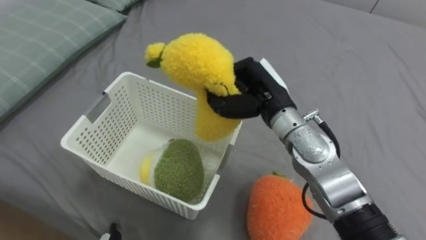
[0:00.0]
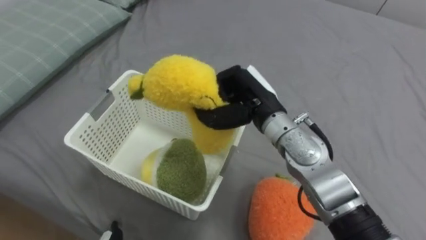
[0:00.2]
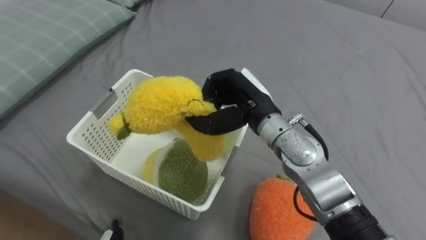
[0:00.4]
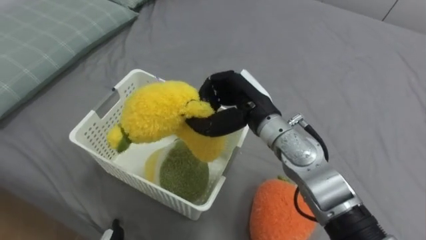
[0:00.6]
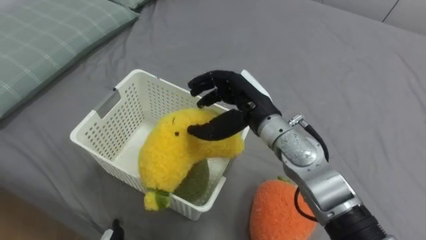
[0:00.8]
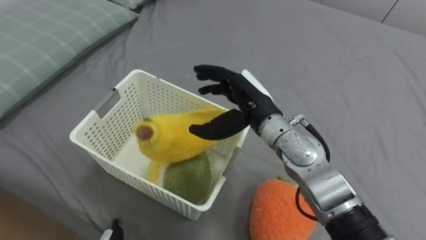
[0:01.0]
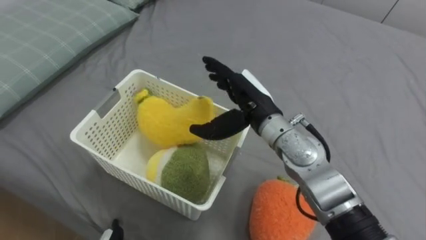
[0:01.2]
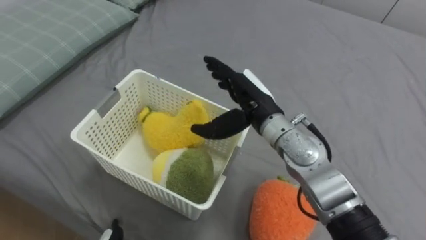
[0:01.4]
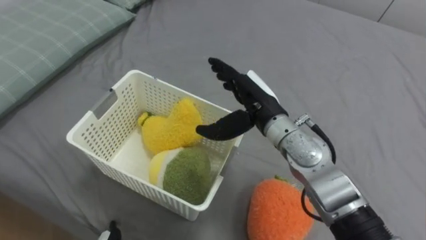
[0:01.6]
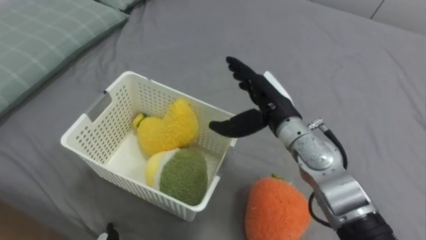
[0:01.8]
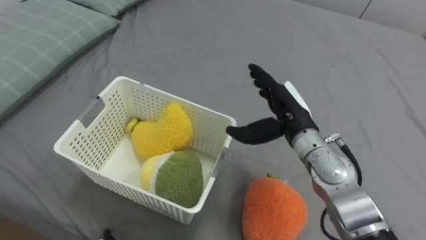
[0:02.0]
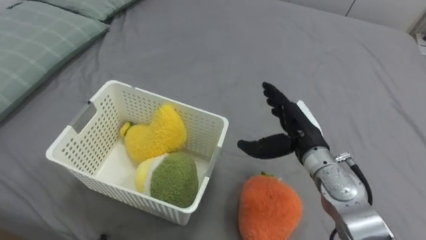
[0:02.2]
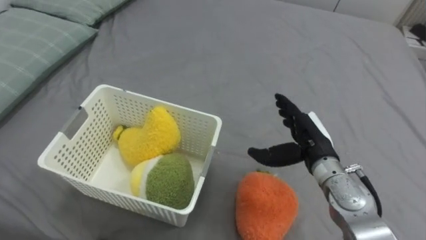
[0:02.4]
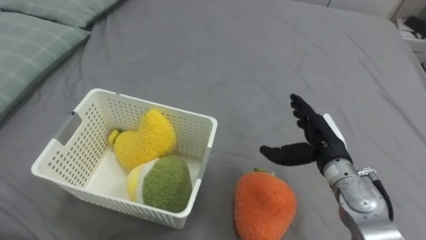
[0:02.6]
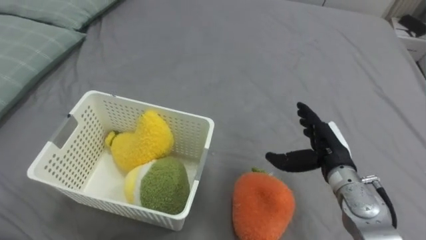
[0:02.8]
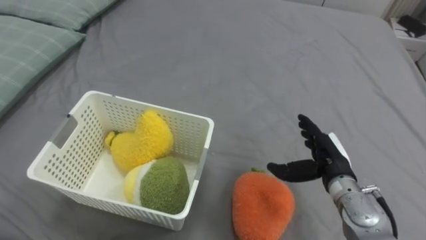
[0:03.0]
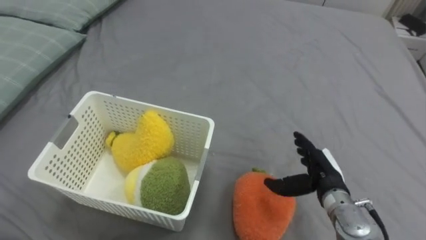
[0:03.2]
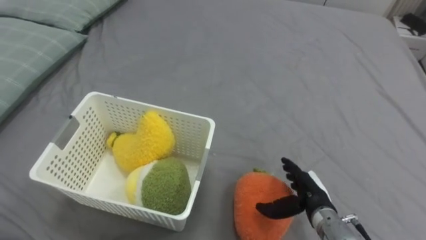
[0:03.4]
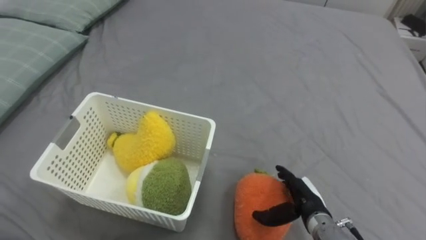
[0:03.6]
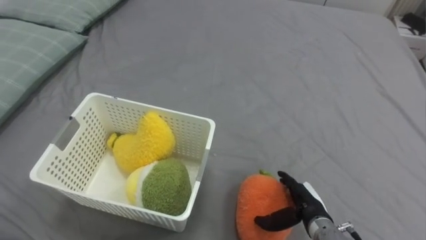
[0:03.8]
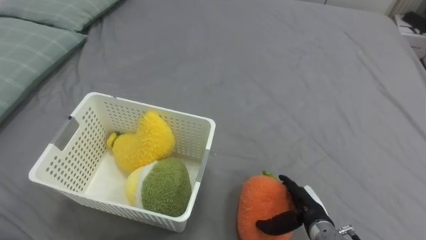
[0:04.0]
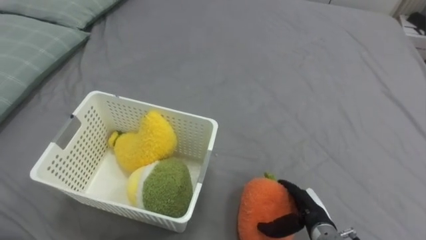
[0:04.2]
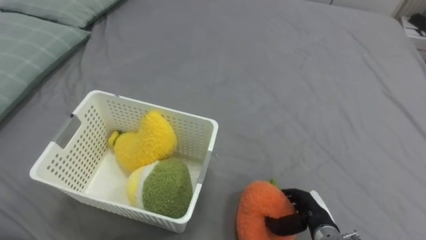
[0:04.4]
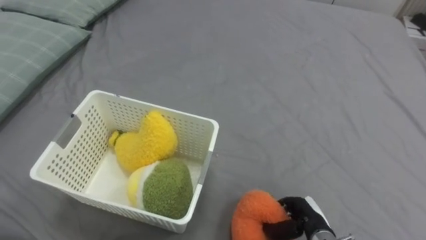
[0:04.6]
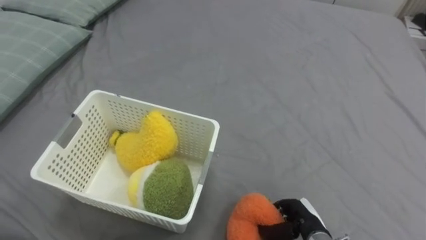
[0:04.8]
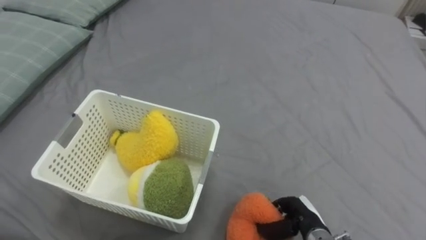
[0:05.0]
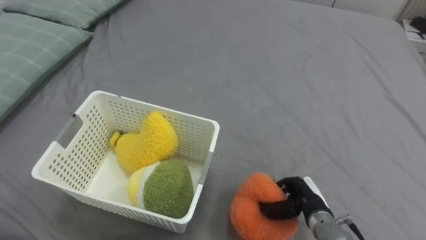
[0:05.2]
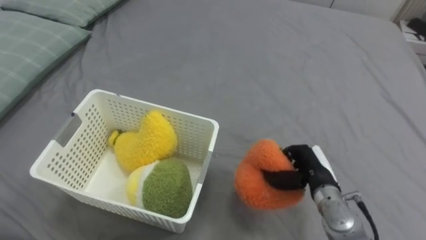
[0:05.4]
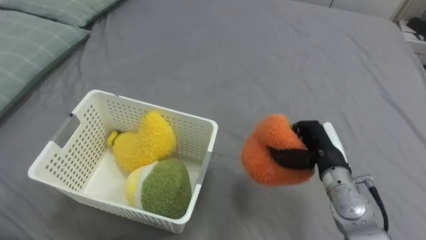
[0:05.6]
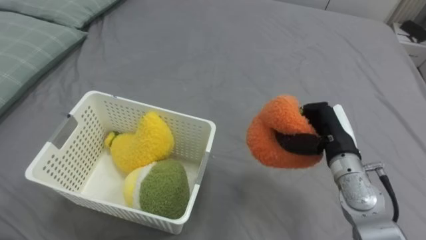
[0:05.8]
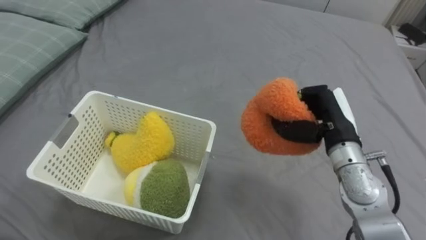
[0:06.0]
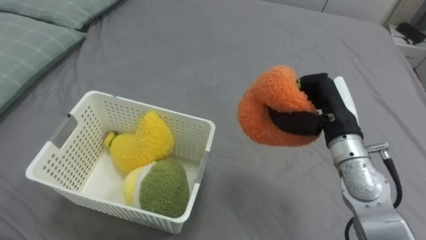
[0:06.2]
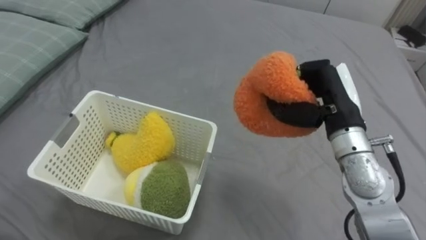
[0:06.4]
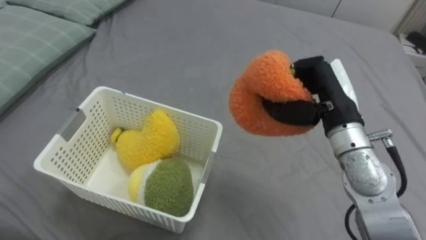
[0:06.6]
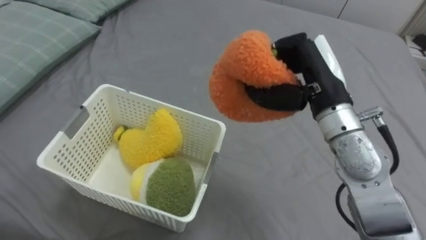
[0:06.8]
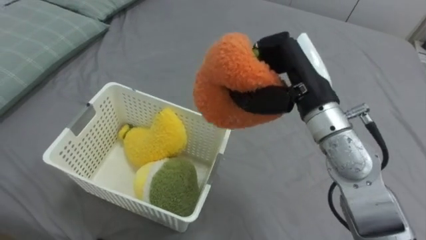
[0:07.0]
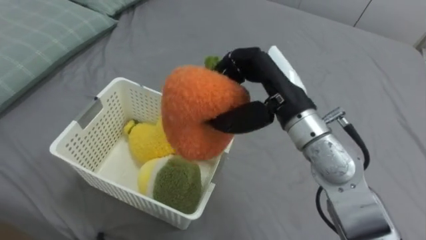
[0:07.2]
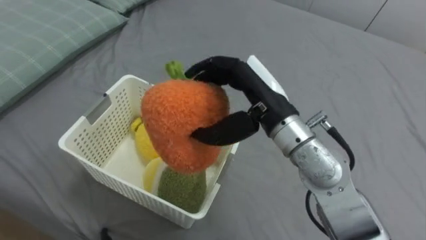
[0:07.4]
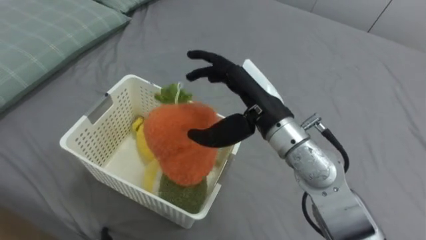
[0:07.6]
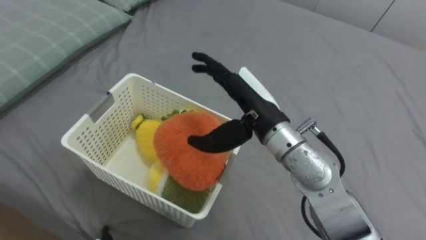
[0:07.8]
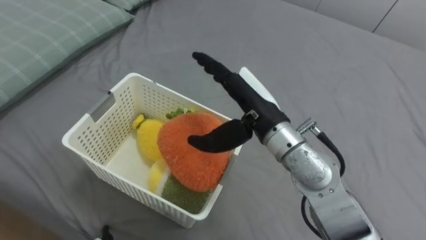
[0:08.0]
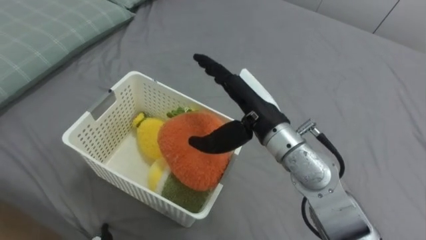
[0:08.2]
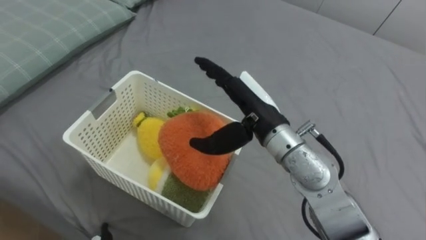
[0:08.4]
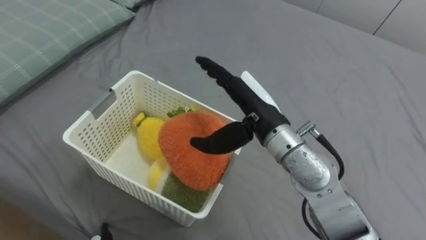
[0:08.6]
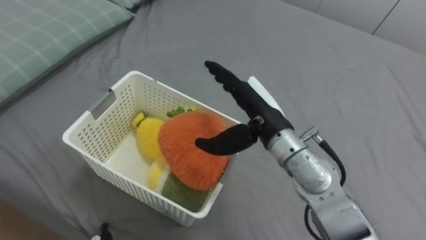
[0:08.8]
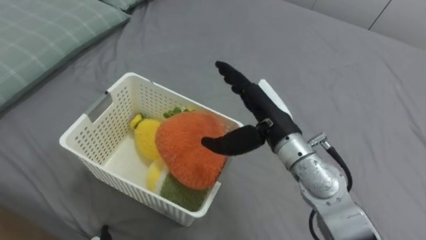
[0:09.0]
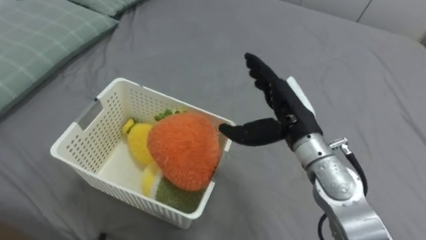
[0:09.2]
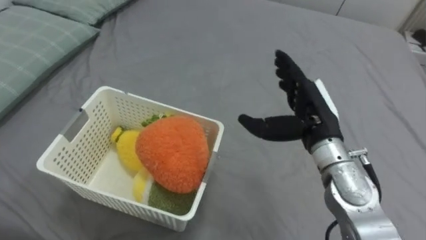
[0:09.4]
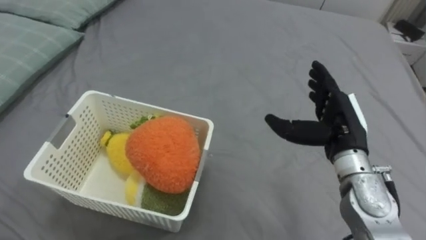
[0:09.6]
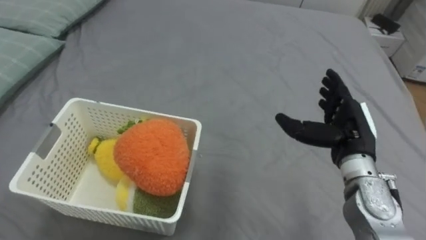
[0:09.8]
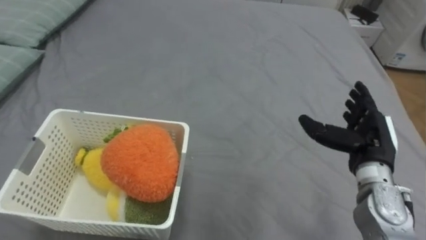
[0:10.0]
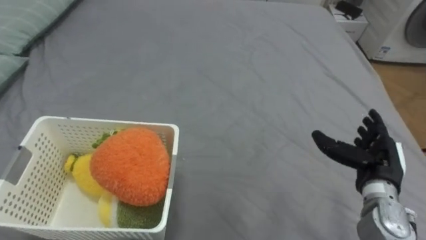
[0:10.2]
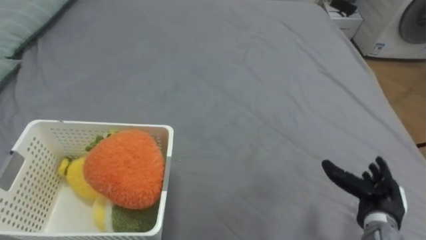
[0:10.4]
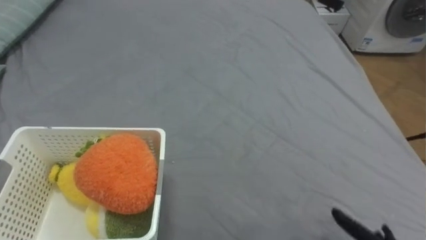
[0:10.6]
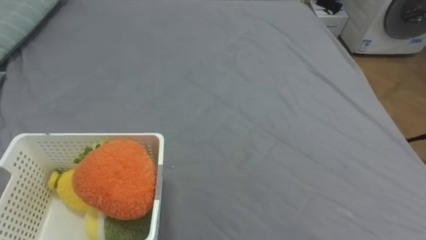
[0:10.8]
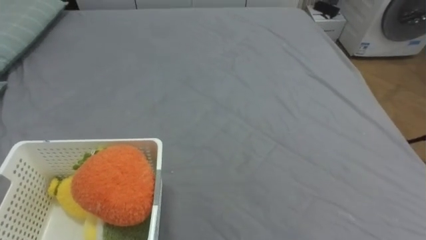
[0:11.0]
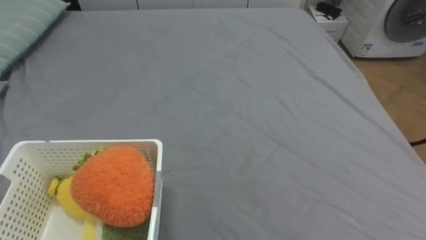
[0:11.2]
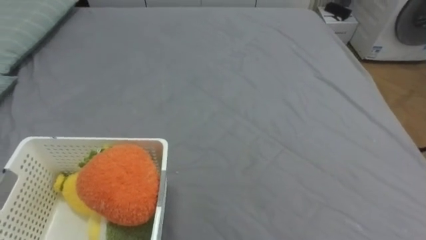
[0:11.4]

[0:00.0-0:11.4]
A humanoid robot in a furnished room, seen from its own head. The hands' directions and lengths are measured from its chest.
Task of the whole recording: Put the toys on the bed into the basket on the left.
0:00.0 to 0:01.4: The right hand opens up.
0:01.4 to 0:02.8: The right hand is displaced to the right and downward by roughly 20 cm.
0:02.8 to 0:04.2: The right hand travels downward and backward by some 15 cm.
0:04.2 to 0:05.6: The right hand travels upward and forward by roughly 15 cm, and closes.
0:05.6 to 0:07.2: The right hand heads upward and to the left, covering approximately 20 cm.
0:07.2 to 0:08.6: The right hand ends up some 5 cm from where it was, and opens.
0:08.6 to 0:10.0: The right hand heads to the right, covering roughly 20 cm.

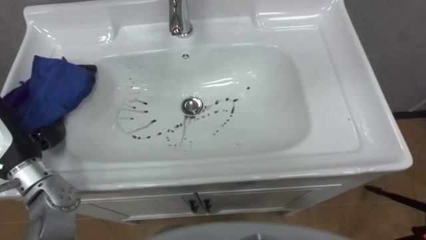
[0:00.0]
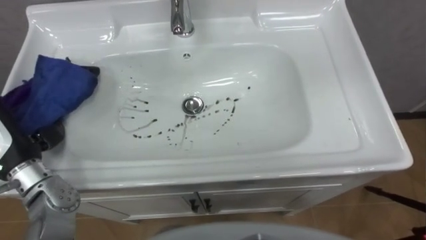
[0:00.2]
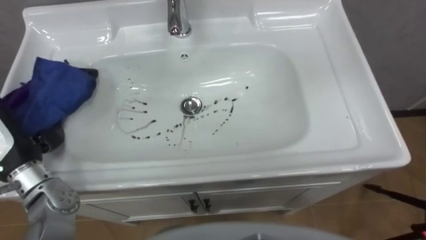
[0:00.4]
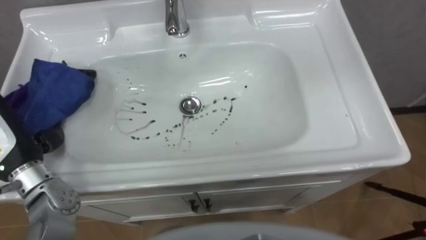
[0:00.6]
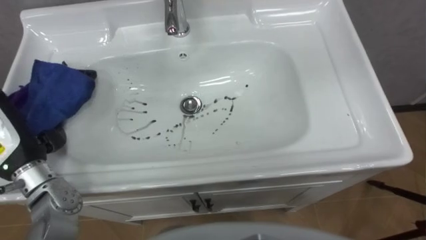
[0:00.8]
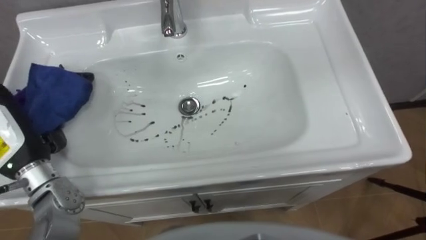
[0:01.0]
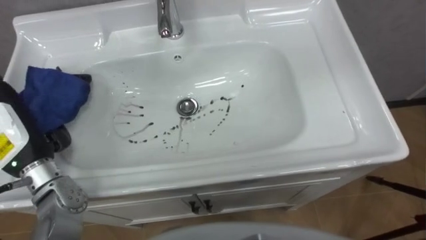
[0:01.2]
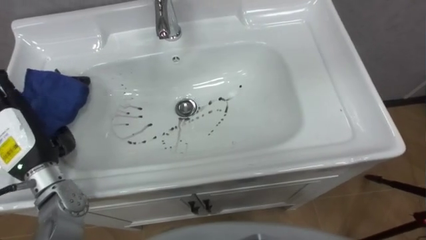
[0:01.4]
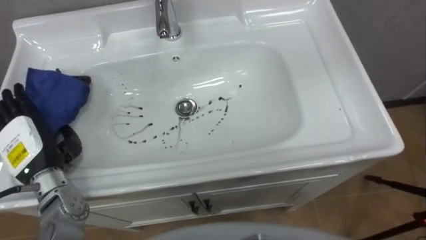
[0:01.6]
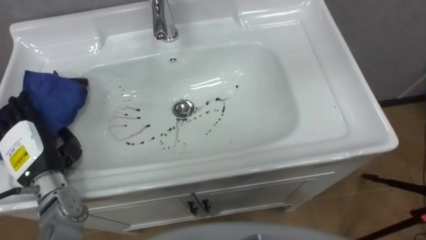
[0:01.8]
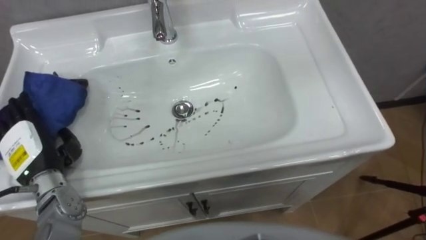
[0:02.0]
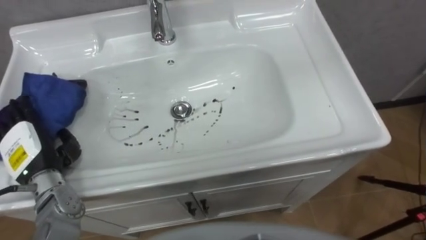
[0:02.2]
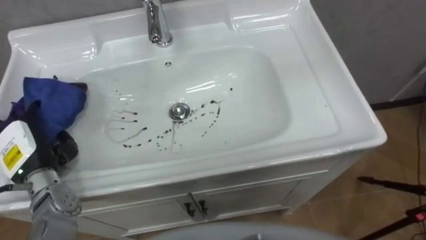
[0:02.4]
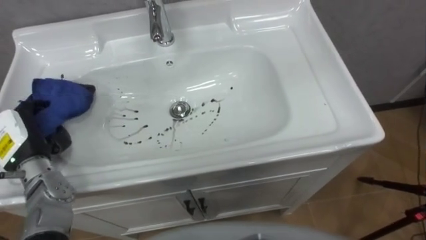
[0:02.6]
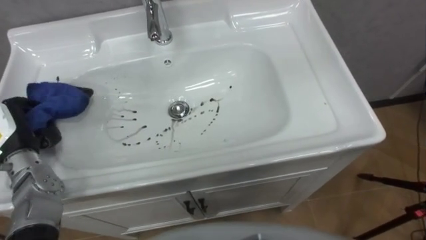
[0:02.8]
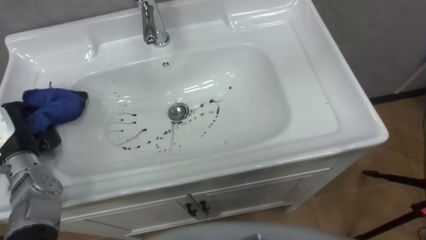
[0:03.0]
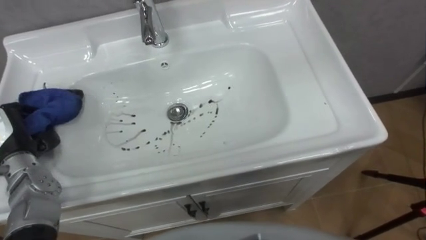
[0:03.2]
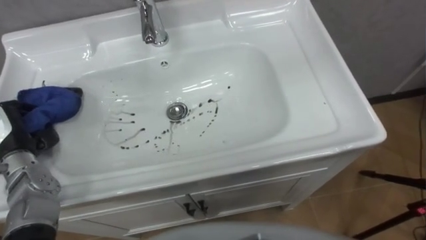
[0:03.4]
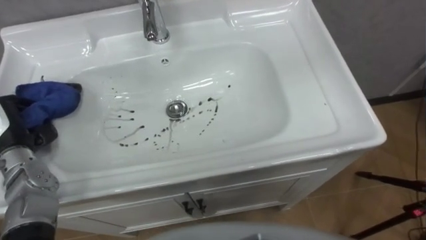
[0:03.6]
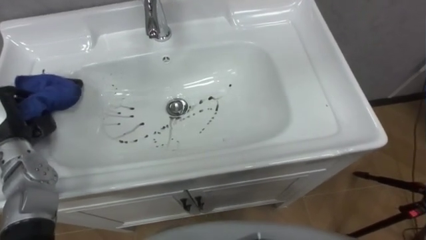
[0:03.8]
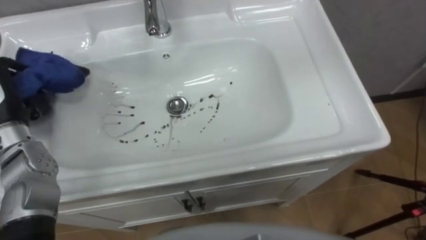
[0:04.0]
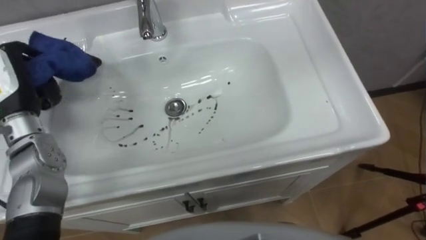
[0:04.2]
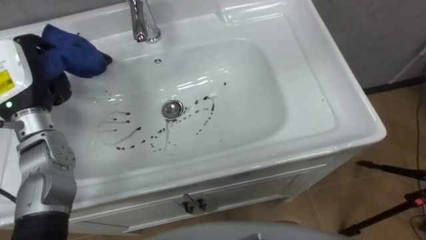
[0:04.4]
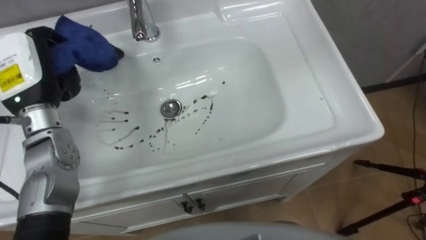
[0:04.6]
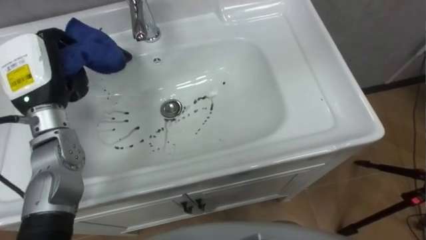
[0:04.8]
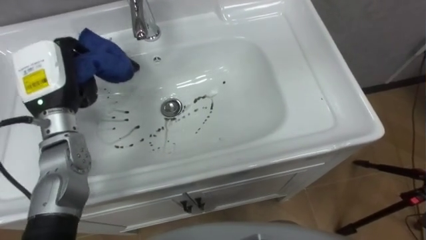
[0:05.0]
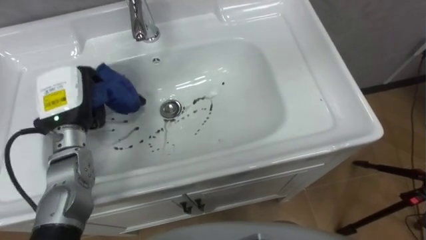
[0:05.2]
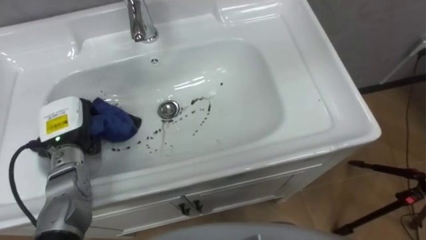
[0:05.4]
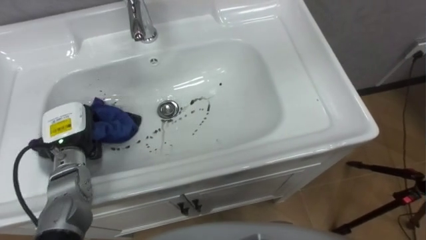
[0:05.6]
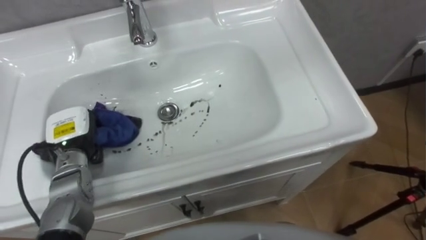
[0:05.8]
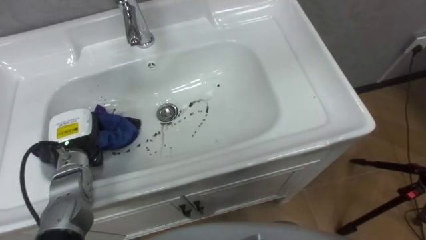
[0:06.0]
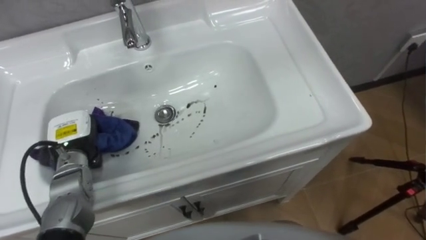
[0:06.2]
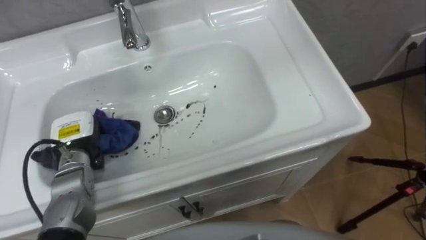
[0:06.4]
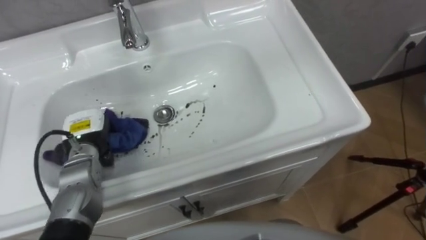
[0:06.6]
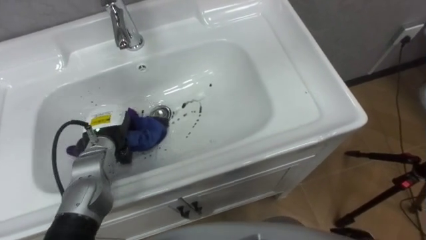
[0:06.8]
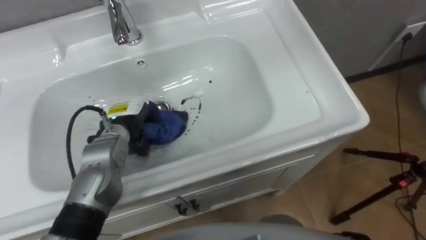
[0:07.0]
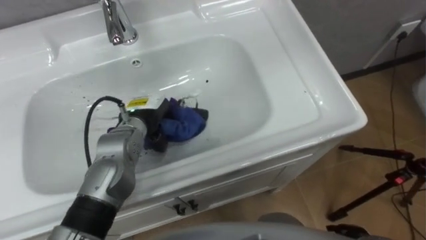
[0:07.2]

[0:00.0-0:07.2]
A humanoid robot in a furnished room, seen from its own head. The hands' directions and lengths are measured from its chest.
Task of the whole recording: Use the cloth on the right to wipe away the black stain in the sink.
0:01.4 to 0:02.8: The left hand ends up approximately 5 cm from where it was, and closes.
0:04.4 to 0:05.8: The left hand goes roughly 15 cm downward.
0:05.8 to 0:07.2: The left hand goes some 15 cm to the right.
